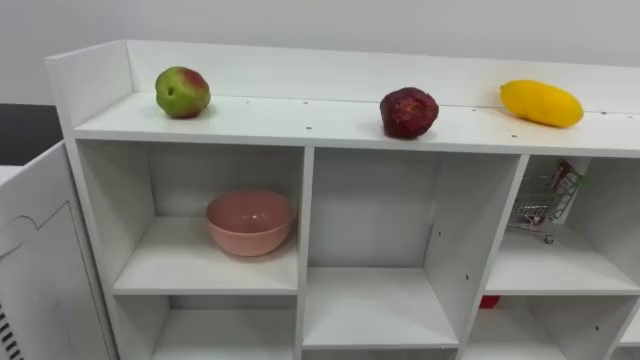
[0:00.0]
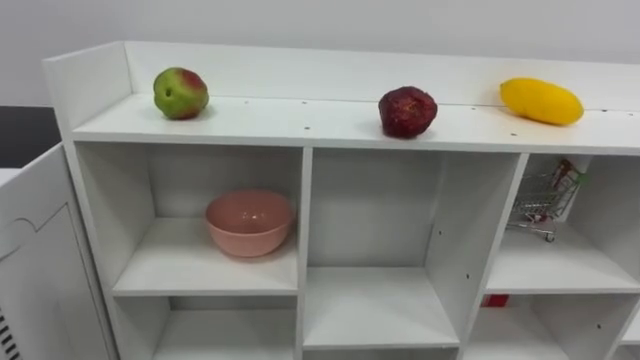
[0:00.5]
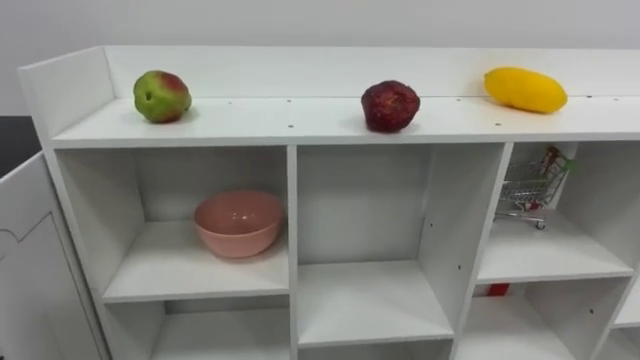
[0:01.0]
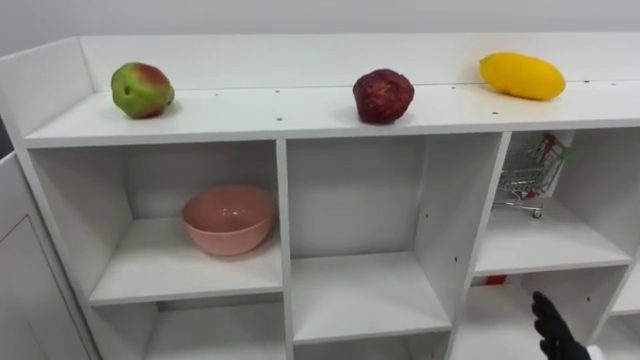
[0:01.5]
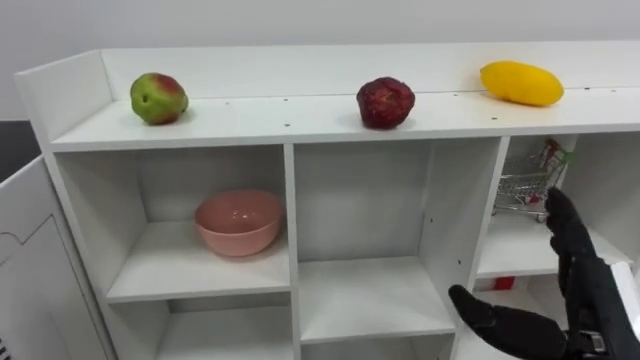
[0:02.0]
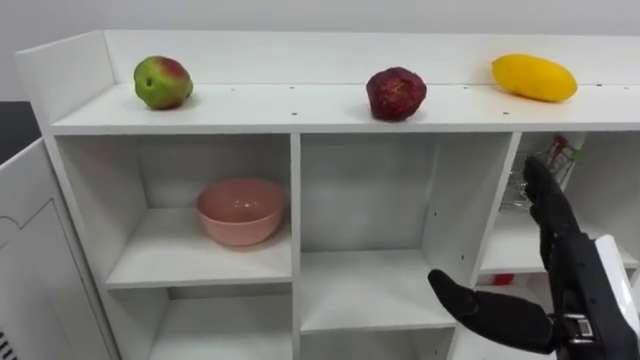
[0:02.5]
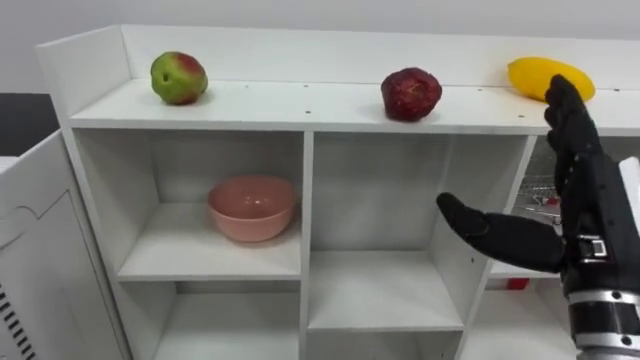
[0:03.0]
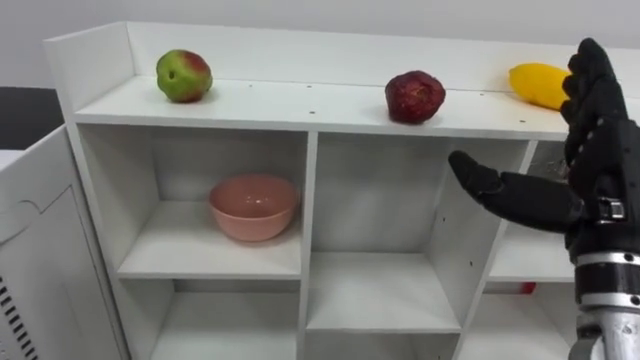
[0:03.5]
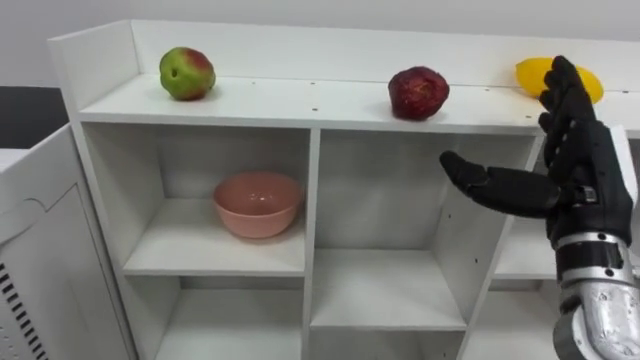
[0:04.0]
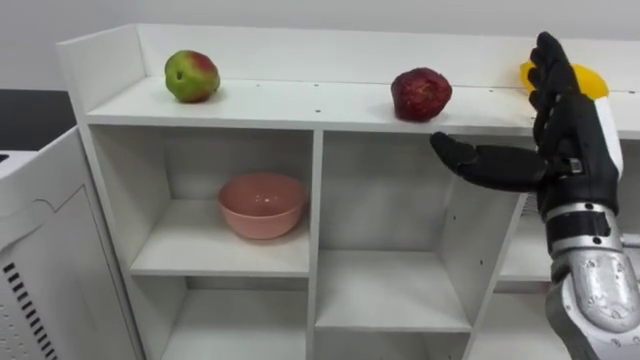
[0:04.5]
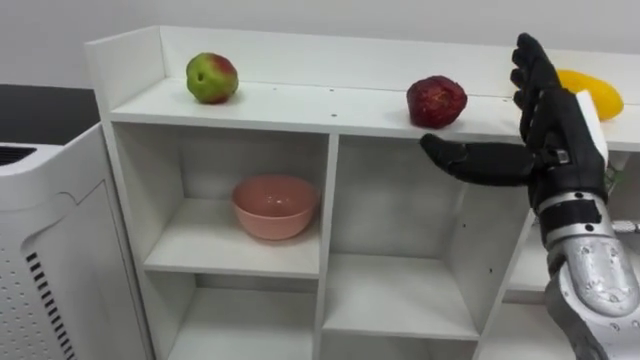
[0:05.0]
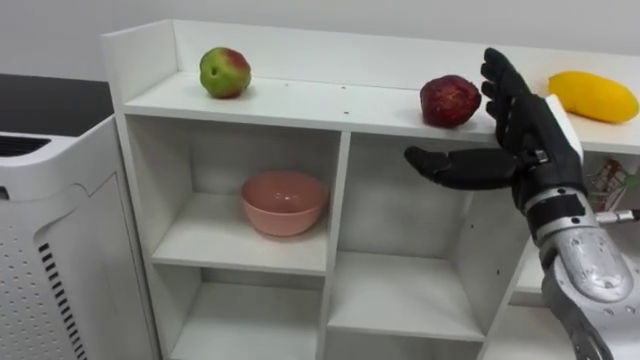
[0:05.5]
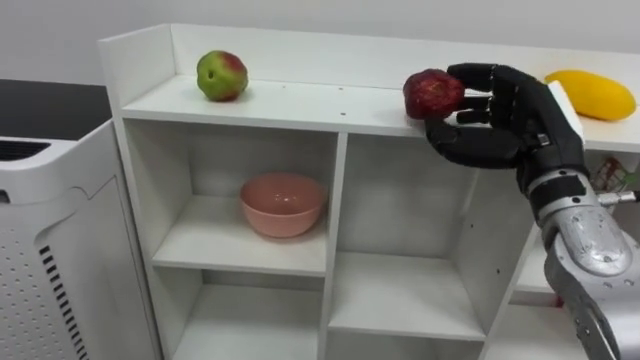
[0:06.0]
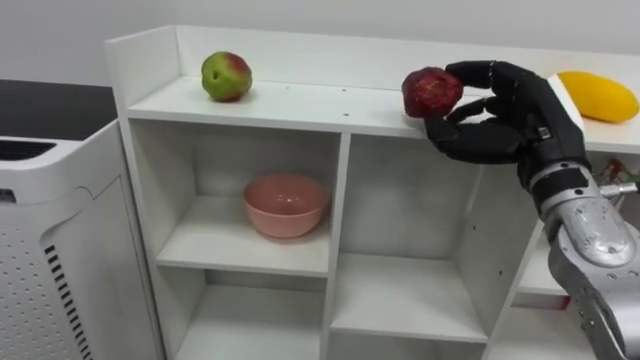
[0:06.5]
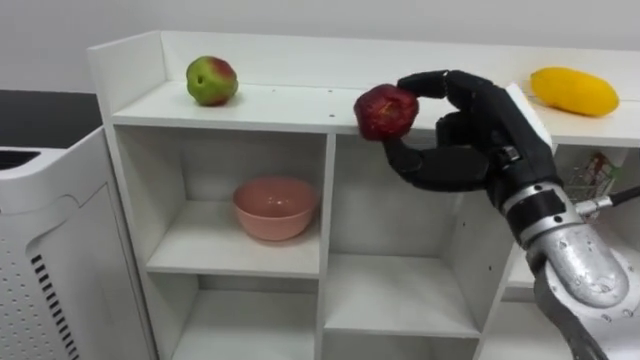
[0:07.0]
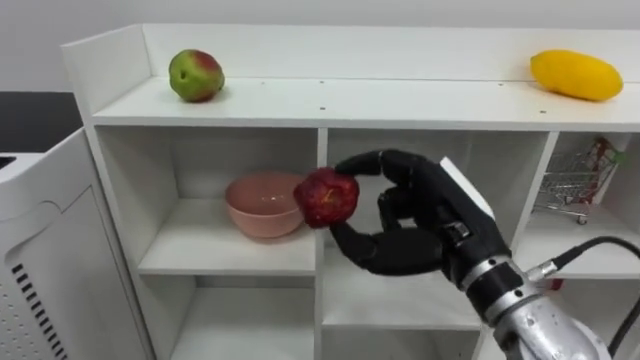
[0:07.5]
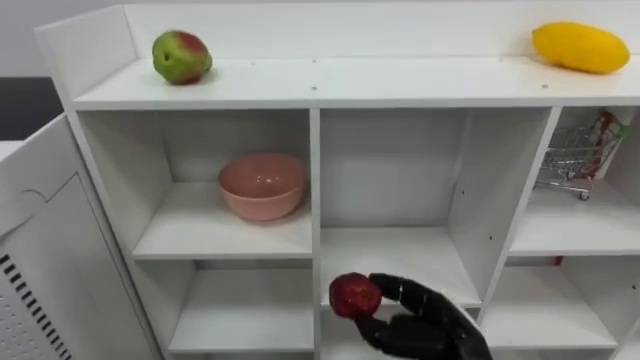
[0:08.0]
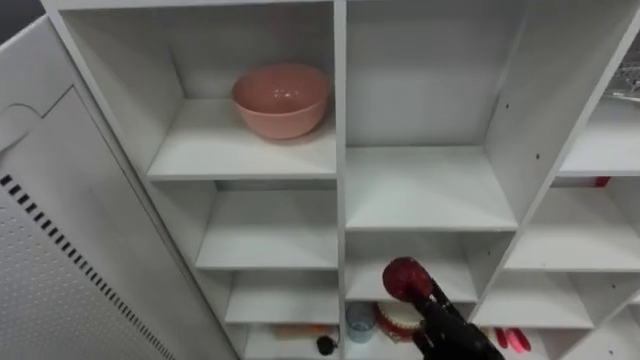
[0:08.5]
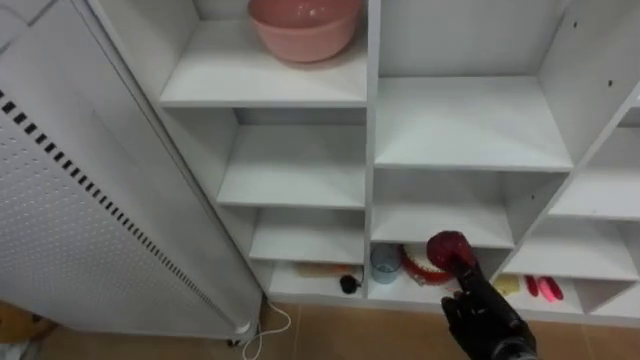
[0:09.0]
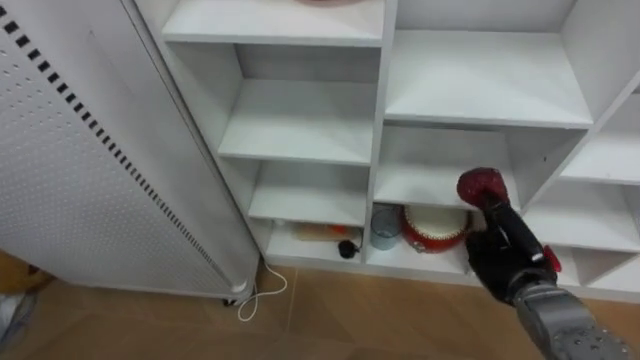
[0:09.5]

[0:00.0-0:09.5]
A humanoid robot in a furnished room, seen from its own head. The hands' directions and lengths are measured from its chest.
Task of the whole recording: Put the apple in the cell in the second column from the left and the second row from the top.
0:02.0 to 0:04.0: The right hand is displaced upward and forward by some 15 cm.
0:04.0 to 0:05.5: The right hand moves approximately 5 cm.
0:05.5 to 0:07.5: The right hand travels to the left by roughly 10 cm, and closes.

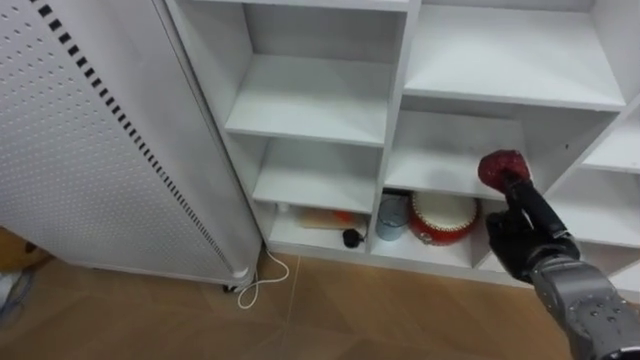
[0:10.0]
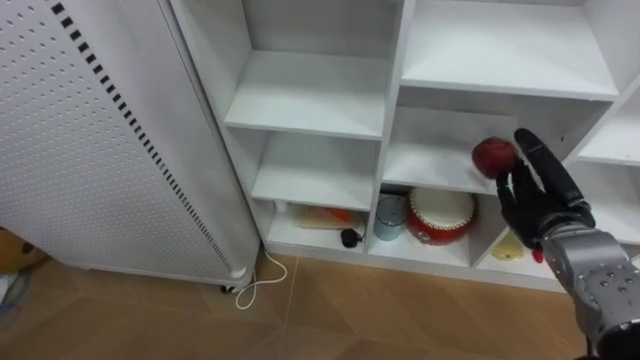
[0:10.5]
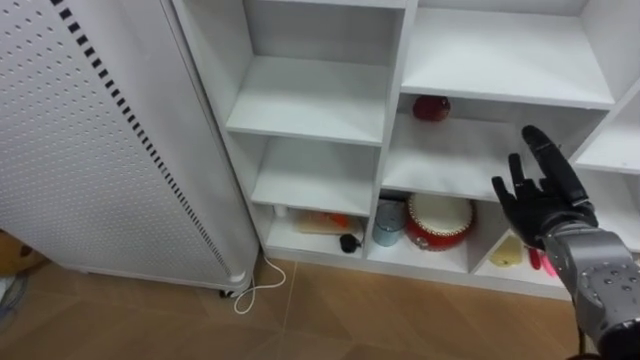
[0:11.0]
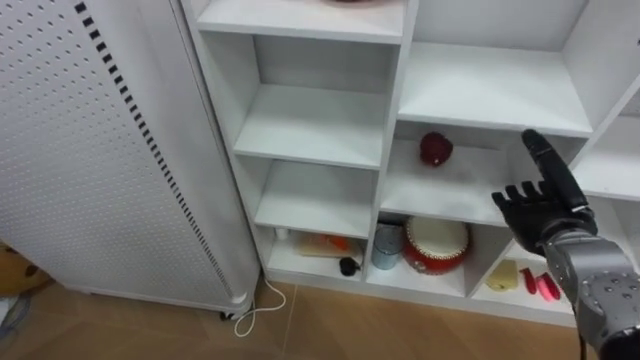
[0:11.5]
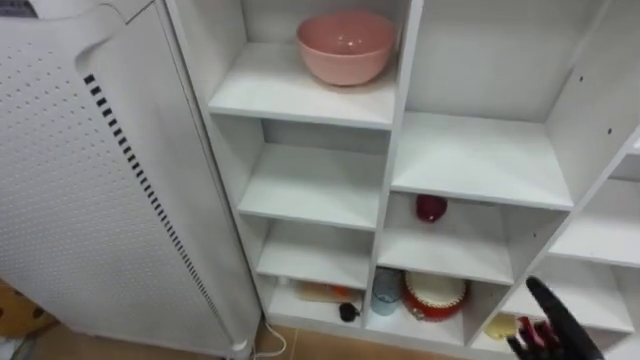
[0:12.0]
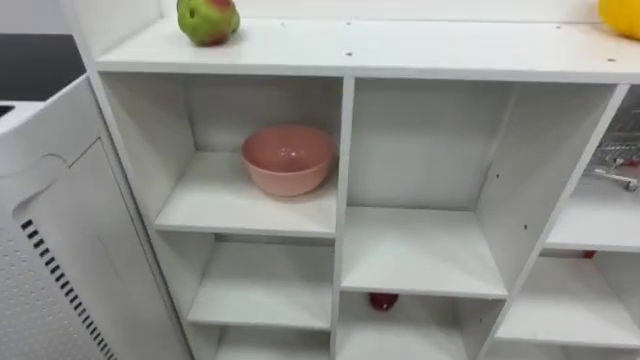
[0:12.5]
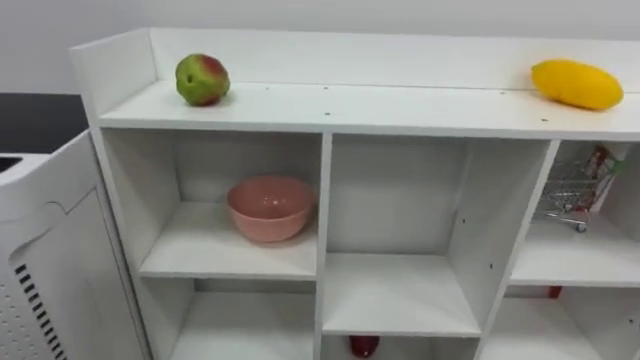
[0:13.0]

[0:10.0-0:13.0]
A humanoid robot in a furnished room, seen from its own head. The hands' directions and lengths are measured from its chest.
Task of the whole recording: Put the apple in the cell in the second column from the left and the second row from the top.
0:10.0 to 0:11.5: The right hand opens.

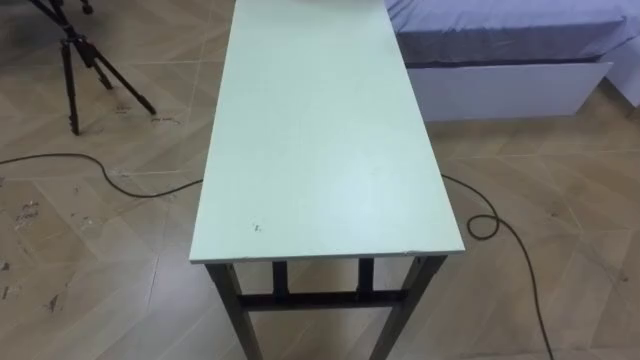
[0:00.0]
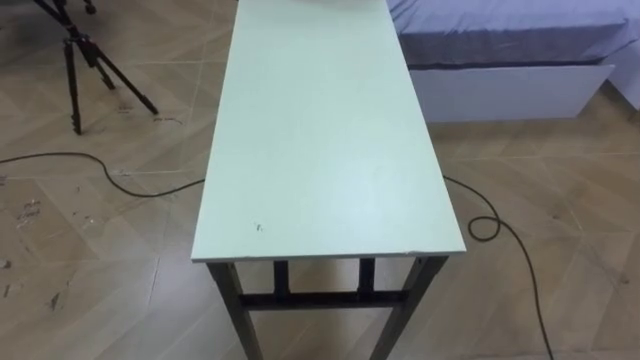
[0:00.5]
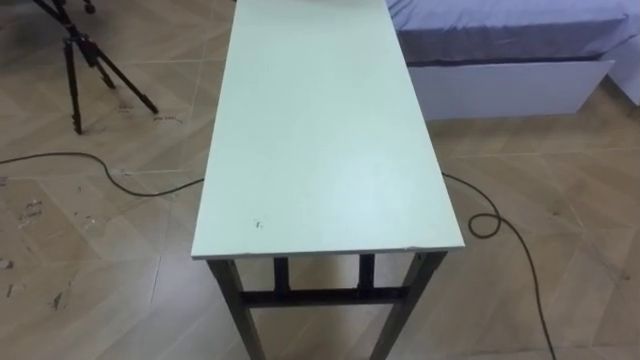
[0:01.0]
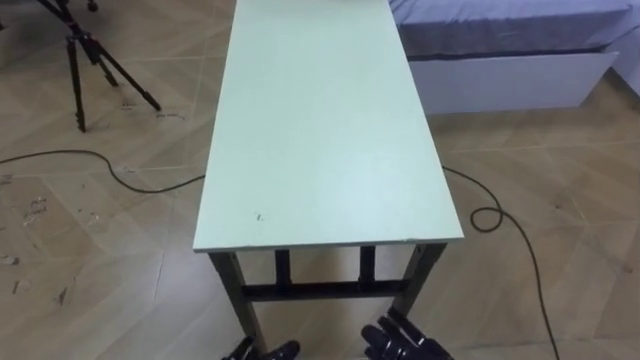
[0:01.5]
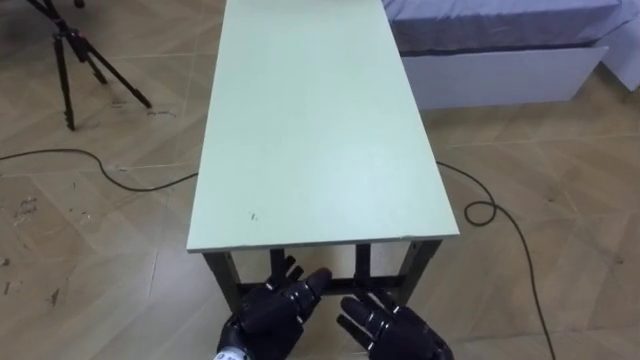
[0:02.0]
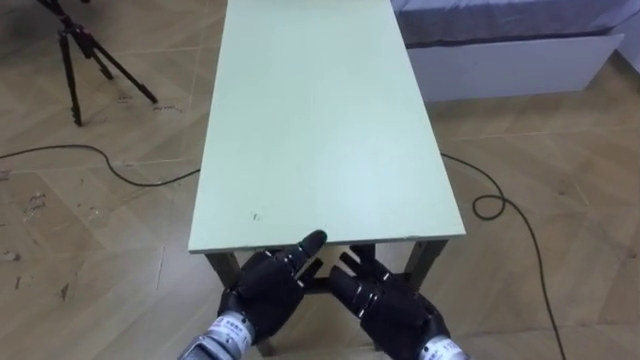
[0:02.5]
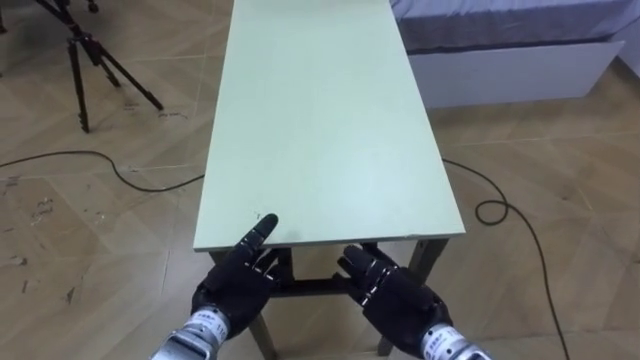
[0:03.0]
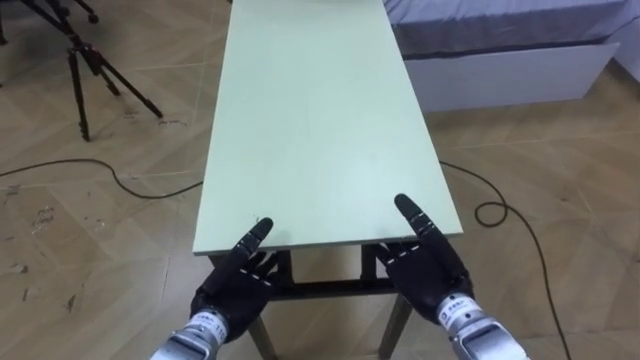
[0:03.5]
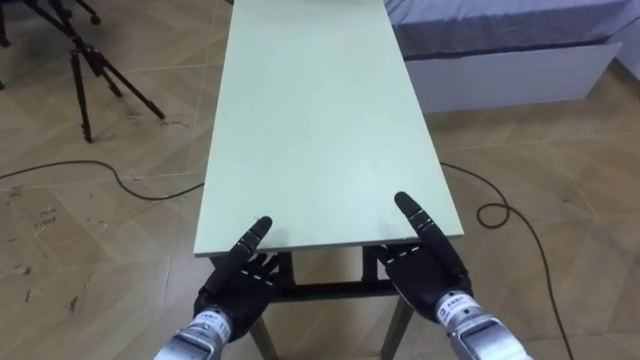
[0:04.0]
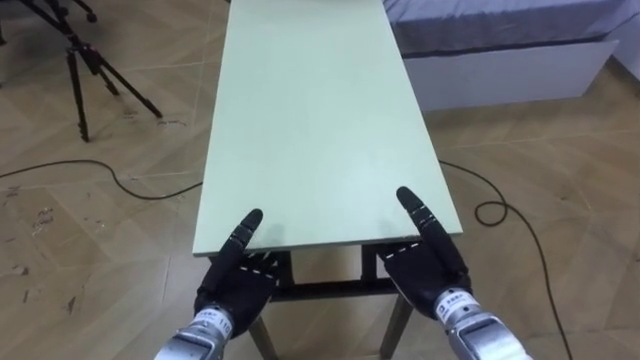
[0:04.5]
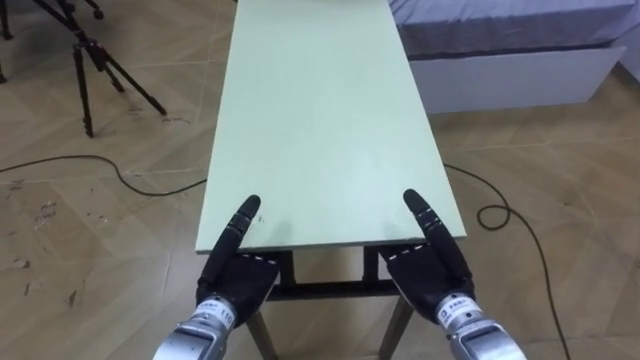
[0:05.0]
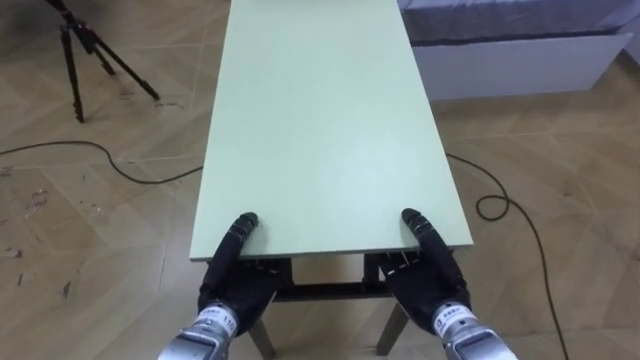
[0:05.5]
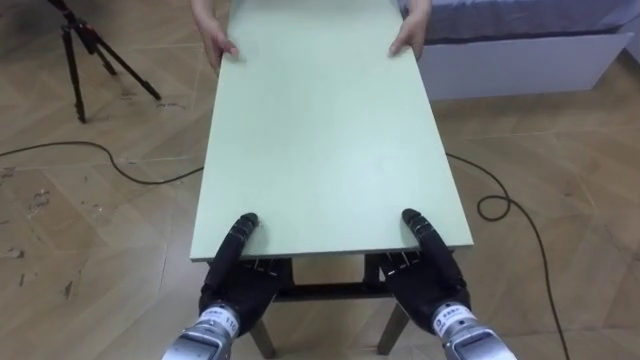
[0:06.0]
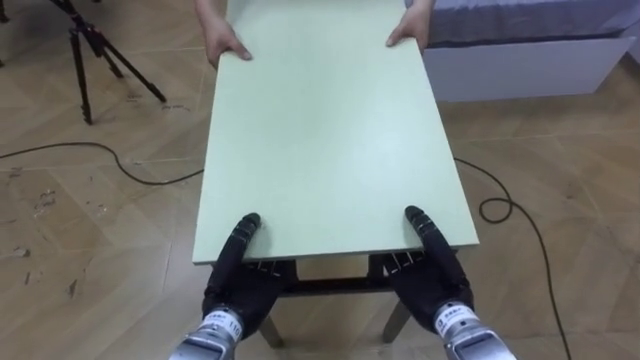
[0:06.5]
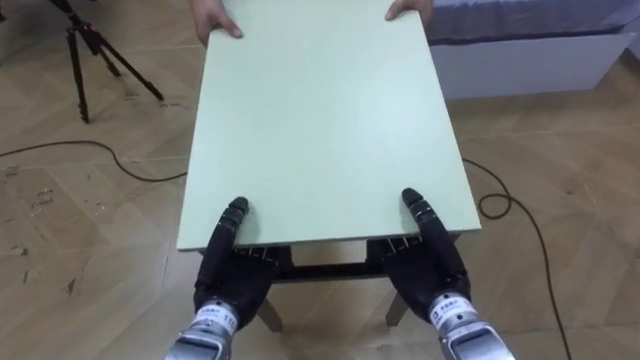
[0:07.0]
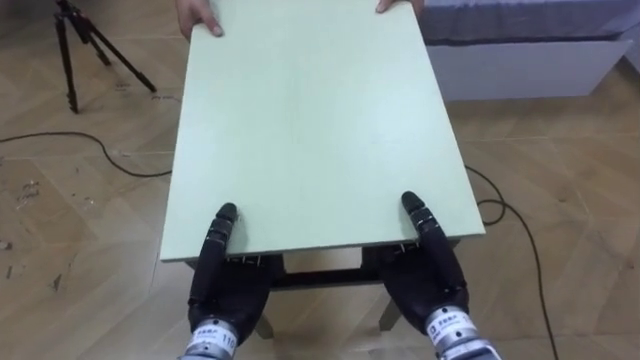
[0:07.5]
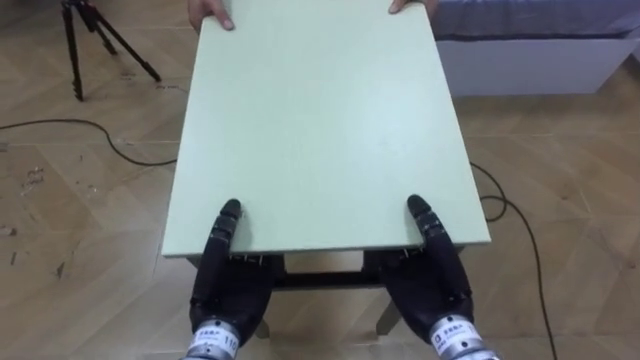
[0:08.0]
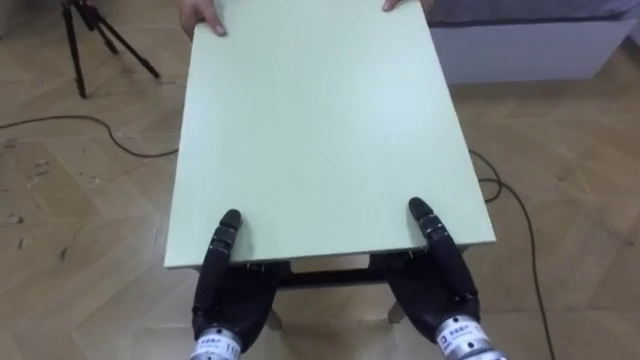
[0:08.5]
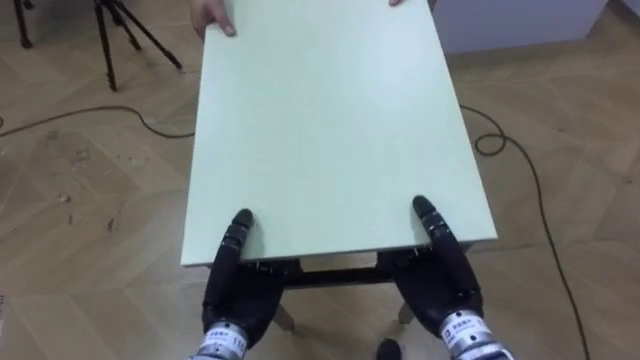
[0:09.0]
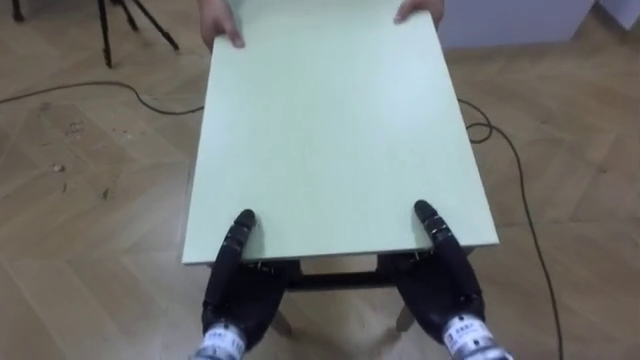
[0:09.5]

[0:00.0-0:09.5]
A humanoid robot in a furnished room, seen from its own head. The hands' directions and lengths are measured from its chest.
Task of the whole recording: Move the table to the back left with someone.
0:02.0 to 0:04.0: The left hand ends up roughly 5 cm from where it was. The right hand travels forward by approximately 10 cm.
0:04.0 to 0:05.5: The left hand closes up; the right hand closes its fingers.
0:05.5 to 0:07.5: The right hand ends up about 5 cm from where it was.
